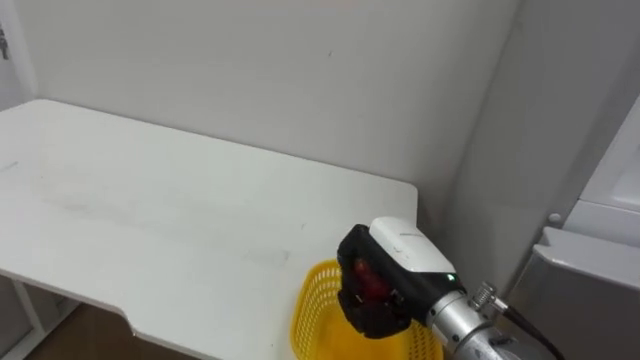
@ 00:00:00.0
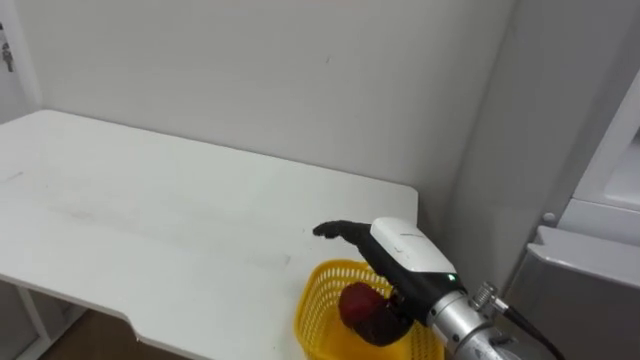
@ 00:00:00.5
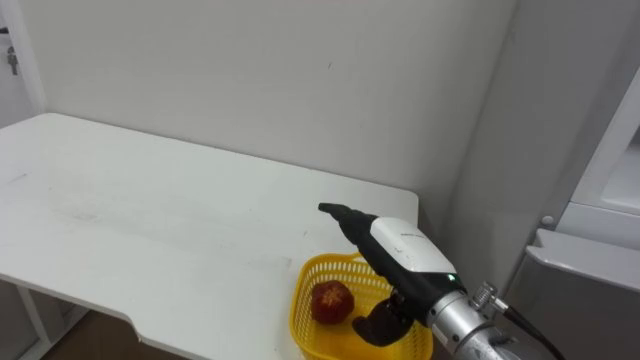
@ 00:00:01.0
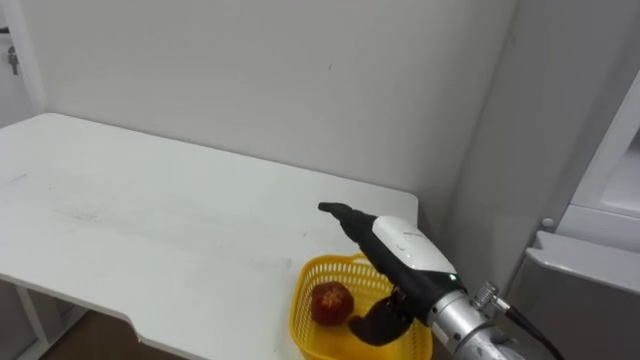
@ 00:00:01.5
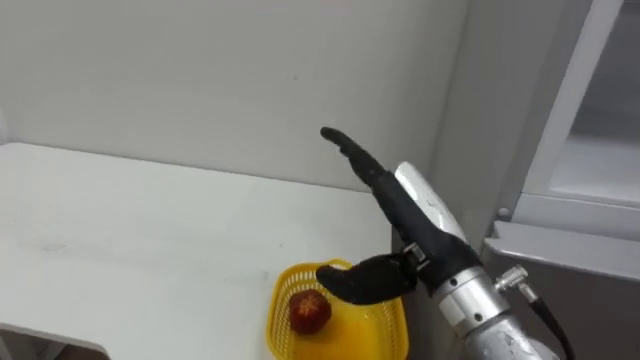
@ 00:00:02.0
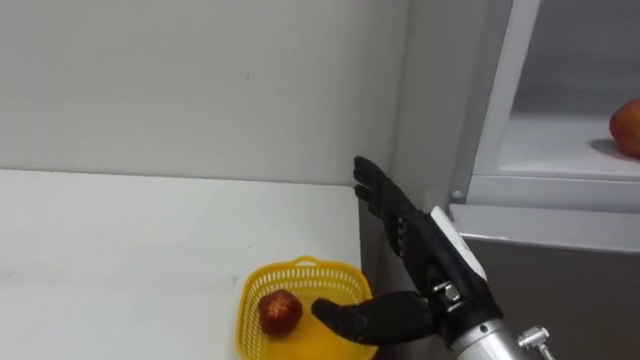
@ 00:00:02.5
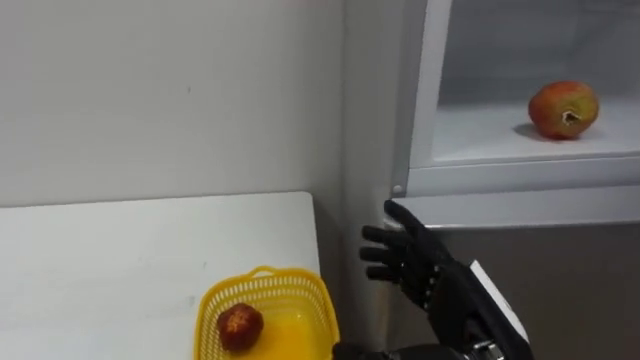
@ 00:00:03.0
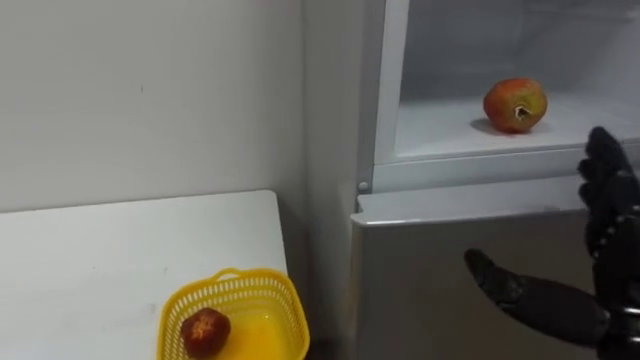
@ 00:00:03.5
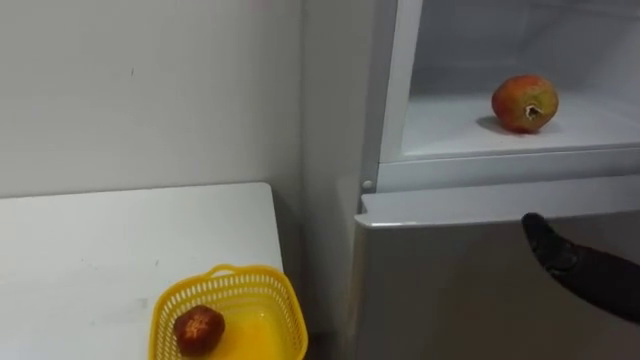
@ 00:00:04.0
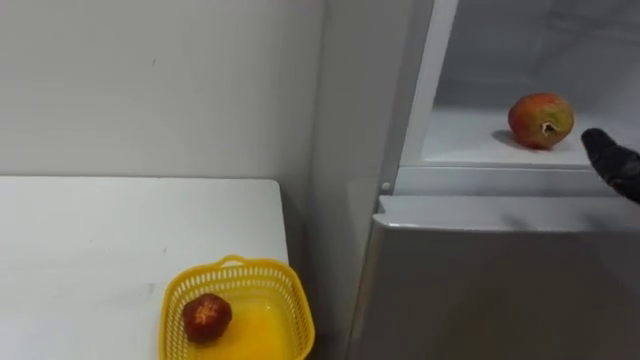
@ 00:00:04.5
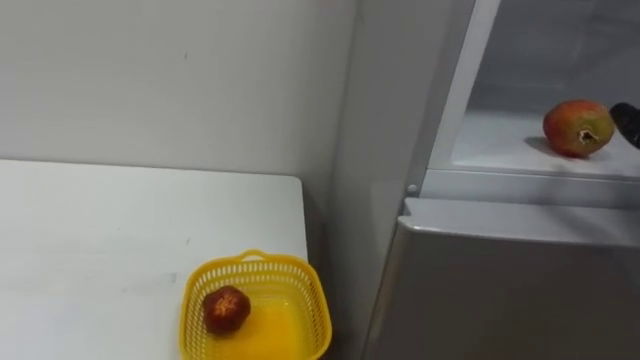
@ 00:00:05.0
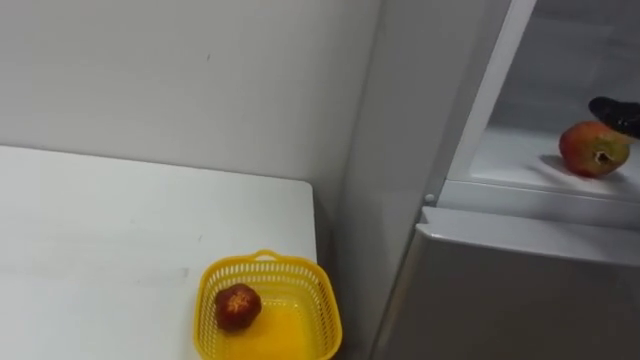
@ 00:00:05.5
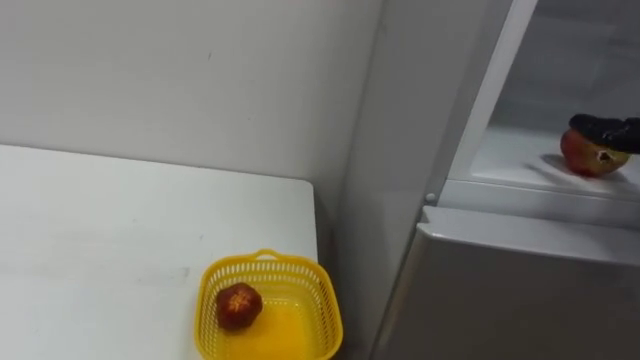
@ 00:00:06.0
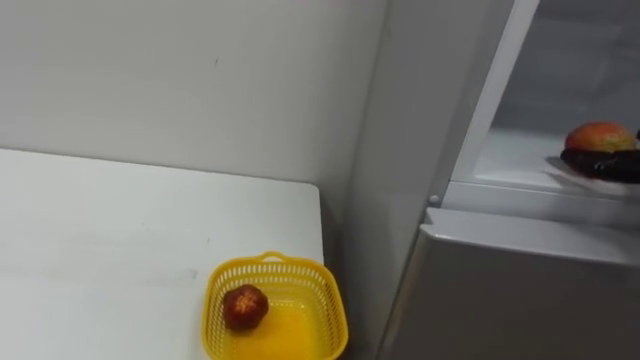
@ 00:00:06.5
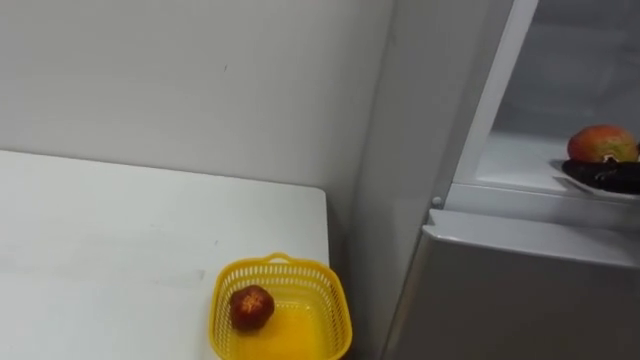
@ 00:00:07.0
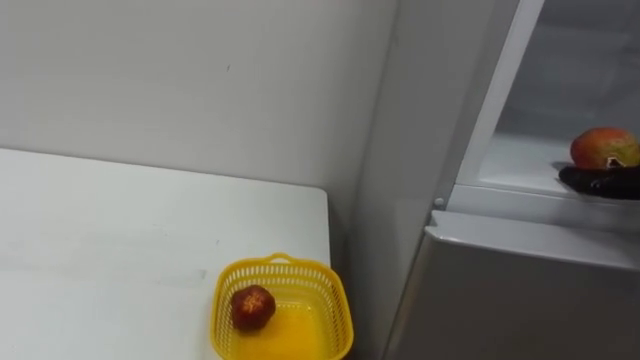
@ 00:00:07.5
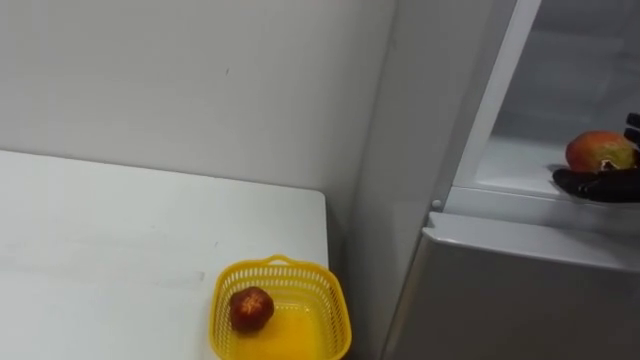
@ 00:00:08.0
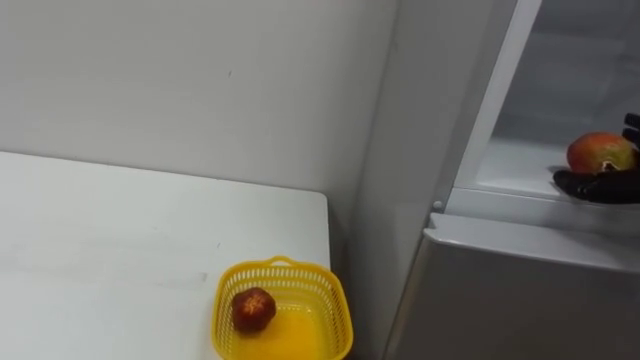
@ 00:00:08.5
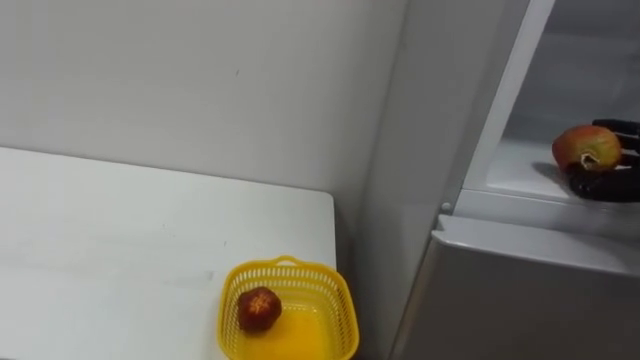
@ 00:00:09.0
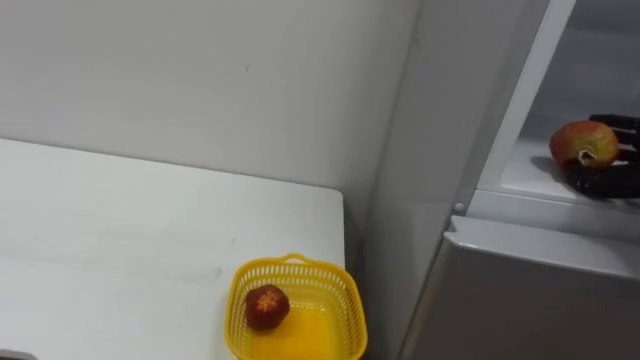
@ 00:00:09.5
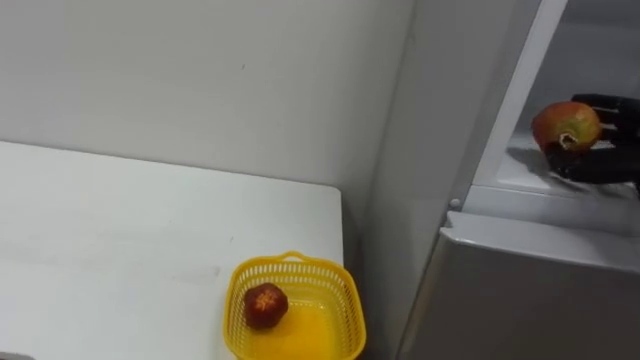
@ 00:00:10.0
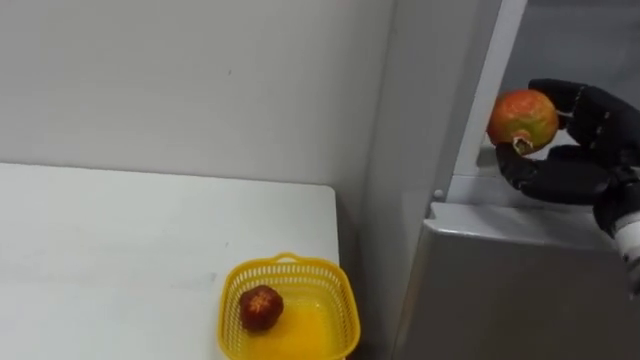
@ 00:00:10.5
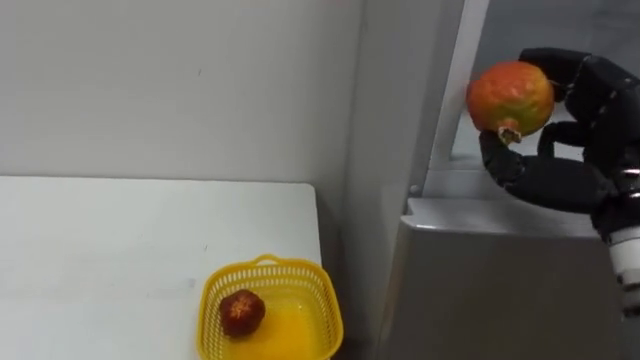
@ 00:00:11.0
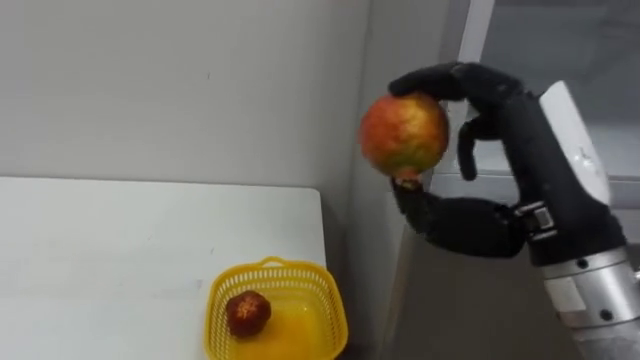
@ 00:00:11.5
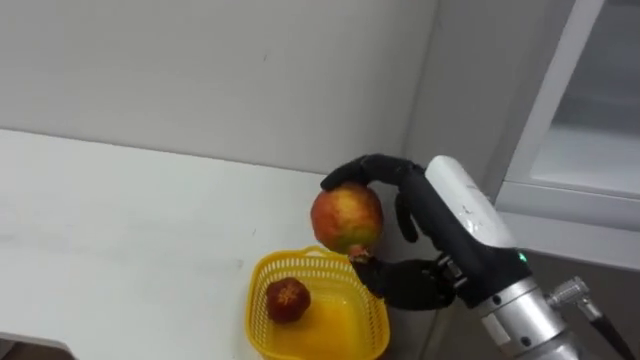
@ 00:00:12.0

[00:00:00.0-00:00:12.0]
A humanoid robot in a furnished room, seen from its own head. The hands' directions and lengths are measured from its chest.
Task of the whole recording: Open the refrigerator door, take out the apple and the pomegranate, place them in the fruit basket on the left, and close the refrigerator door.
00:00:00.0 to 00:00:02.0: The right hand heads upward, covering approximately 5 cm, and opens.

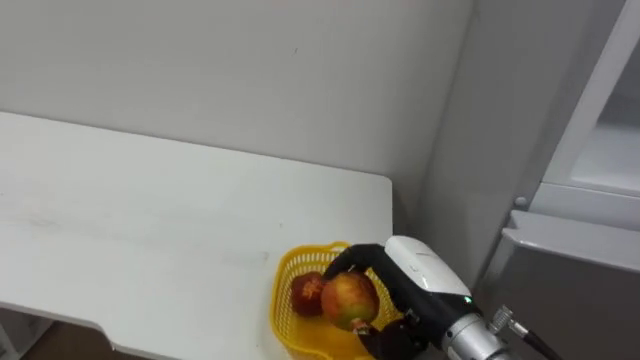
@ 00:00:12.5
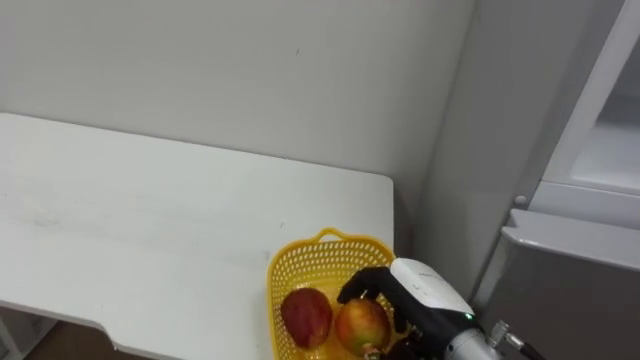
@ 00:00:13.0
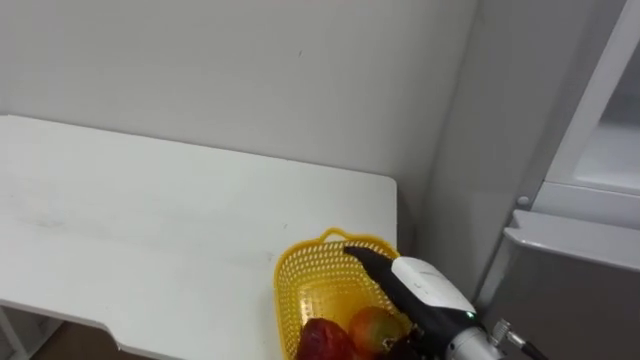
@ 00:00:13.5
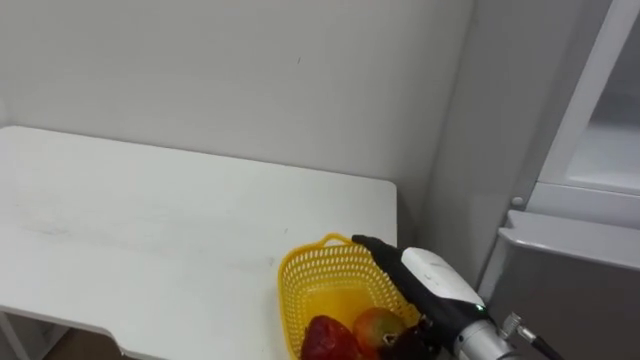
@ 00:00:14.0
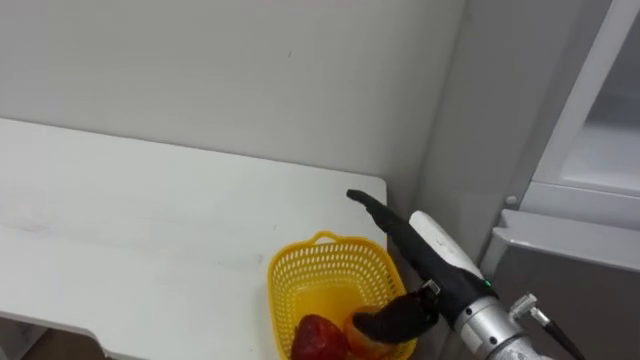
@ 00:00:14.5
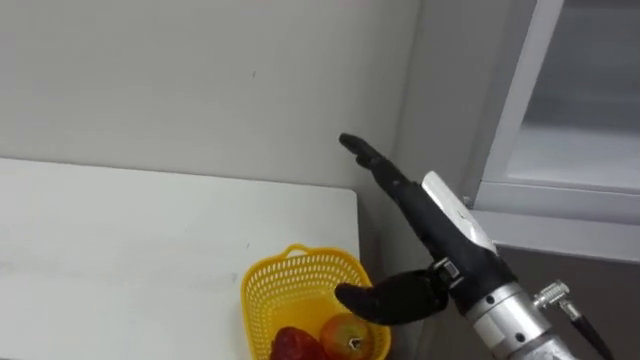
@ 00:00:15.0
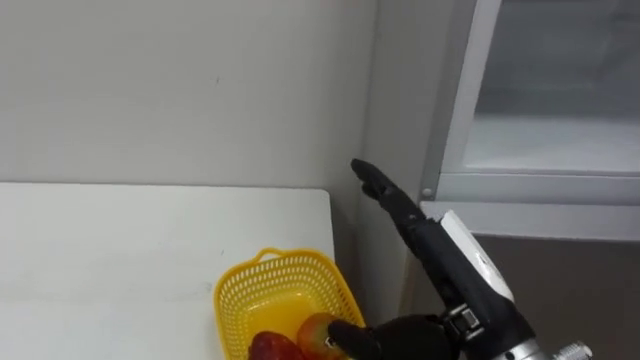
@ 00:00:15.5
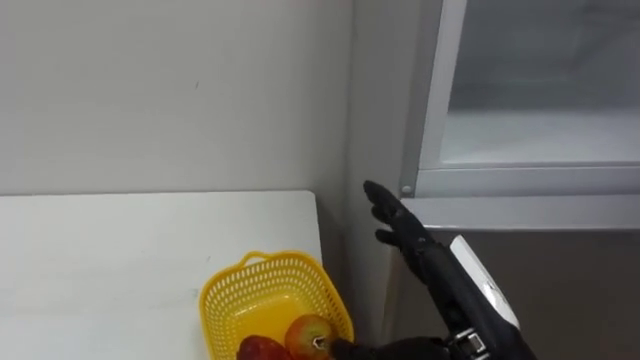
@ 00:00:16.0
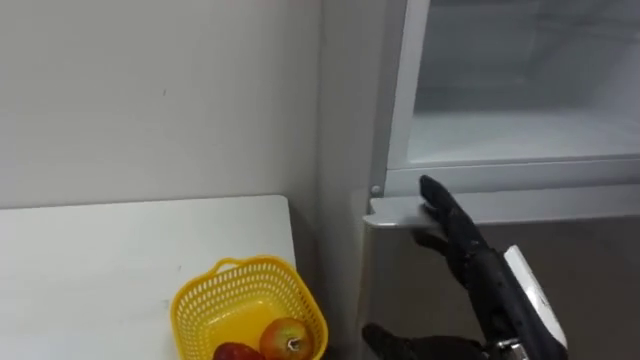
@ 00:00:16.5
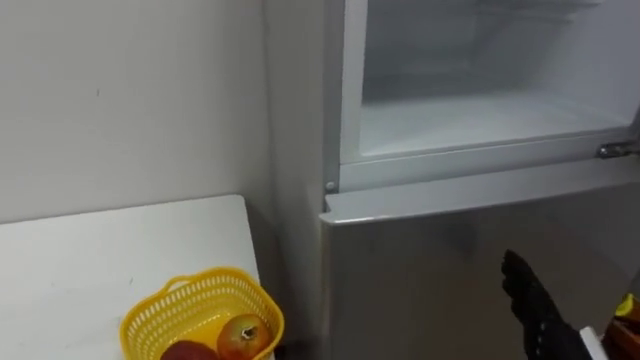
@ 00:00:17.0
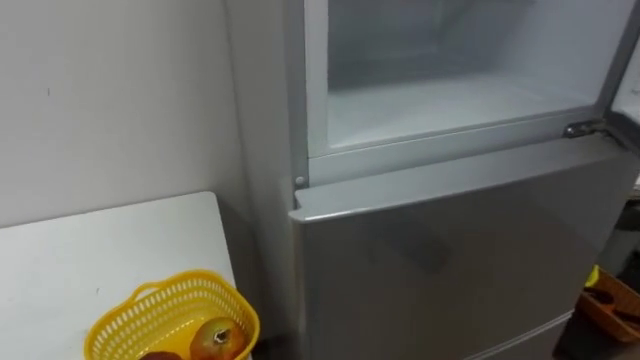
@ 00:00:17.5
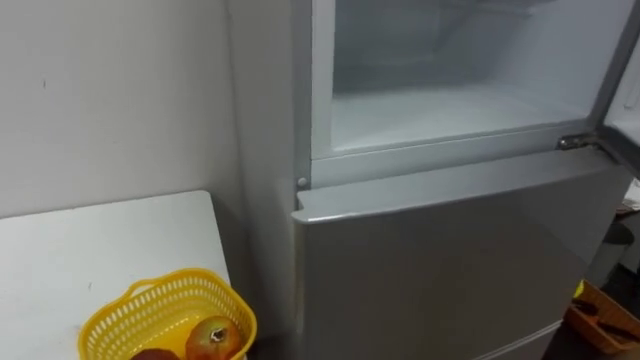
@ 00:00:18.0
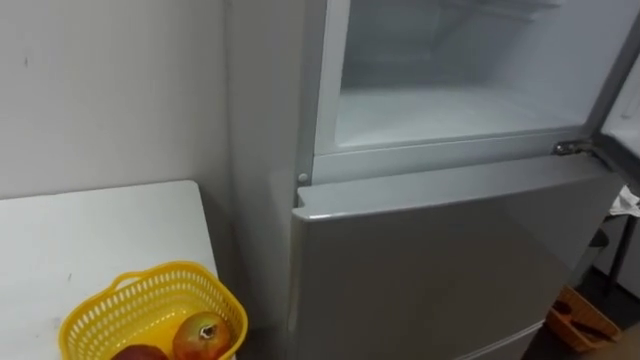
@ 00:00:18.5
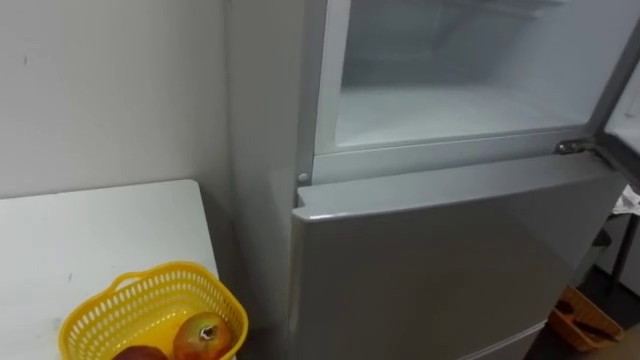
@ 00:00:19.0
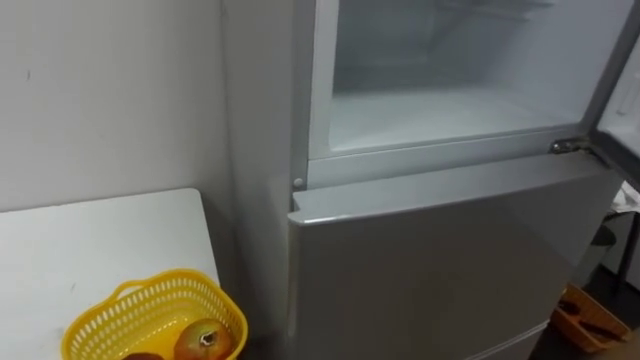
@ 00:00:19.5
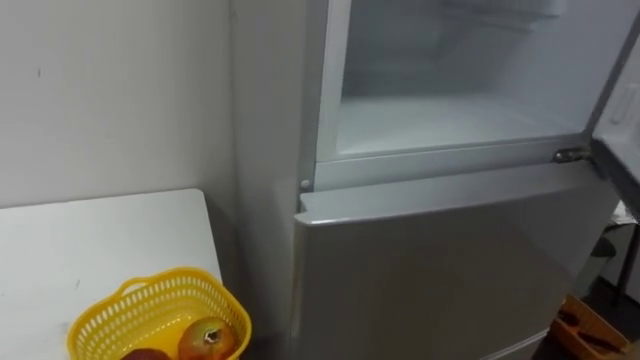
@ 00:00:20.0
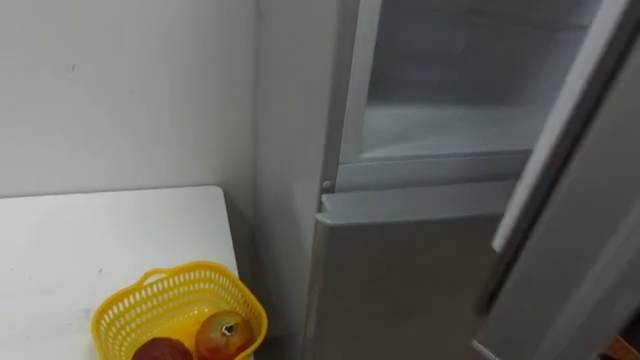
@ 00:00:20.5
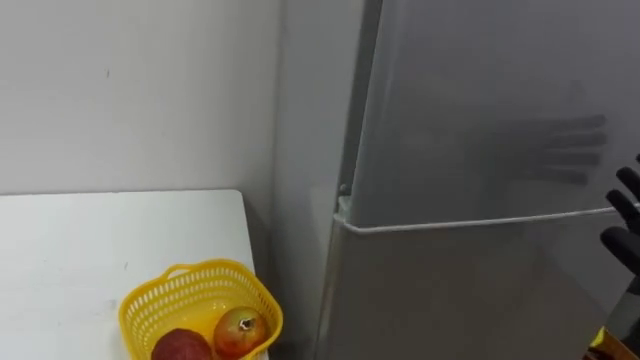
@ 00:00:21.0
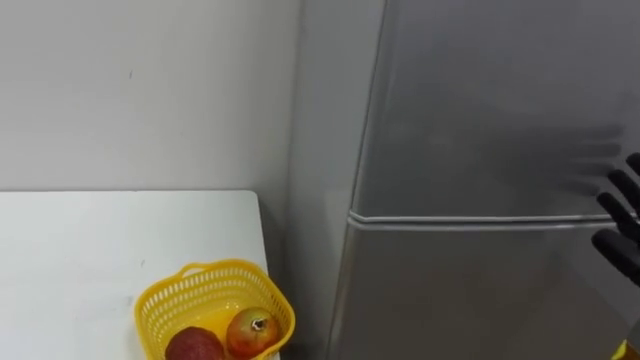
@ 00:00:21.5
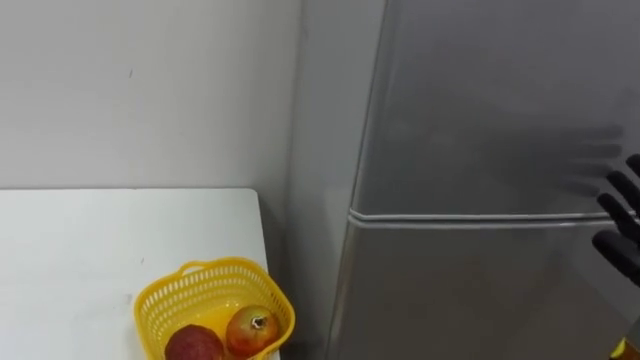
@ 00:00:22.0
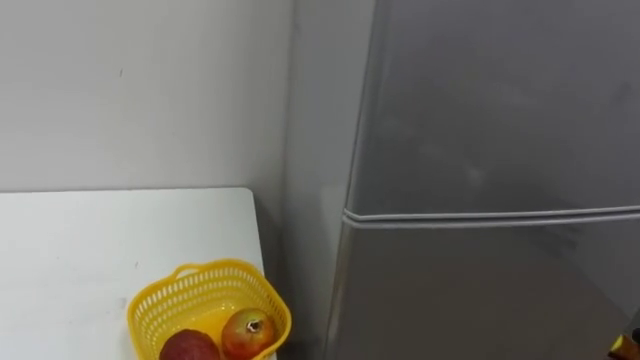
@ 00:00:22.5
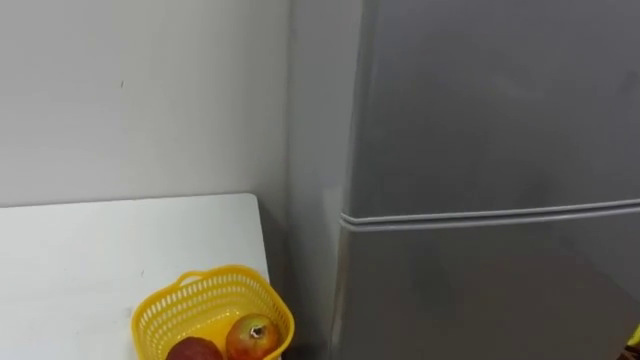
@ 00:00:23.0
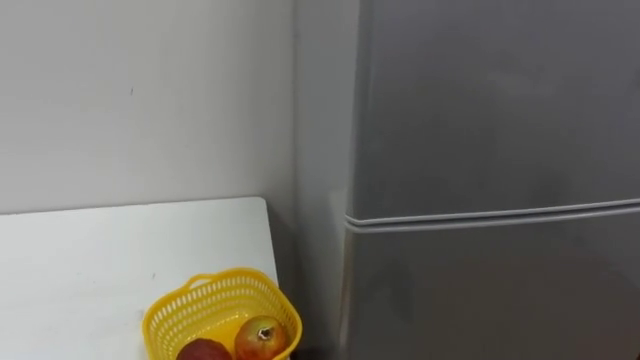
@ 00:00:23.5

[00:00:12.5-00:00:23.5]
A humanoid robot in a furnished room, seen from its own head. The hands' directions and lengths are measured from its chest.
Task of the whole recording: Open the refrigerator door, take out the apple and the pomegranate, place them in the fruit basket on the left, and close the refrigerator door.
00:00:12.5 to 00:00:14.5: The right hand opens up.
00:00:14.5 to 00:00:16.0: The right hand travels backward by about 5 cm.
